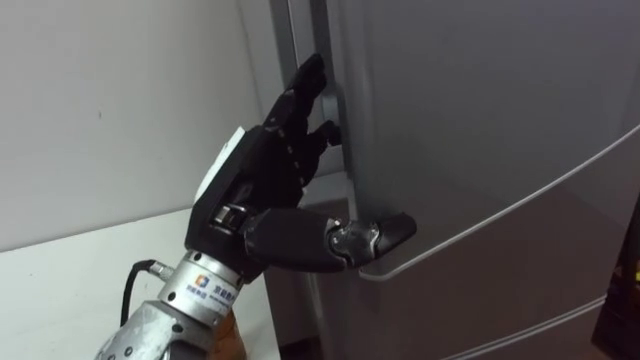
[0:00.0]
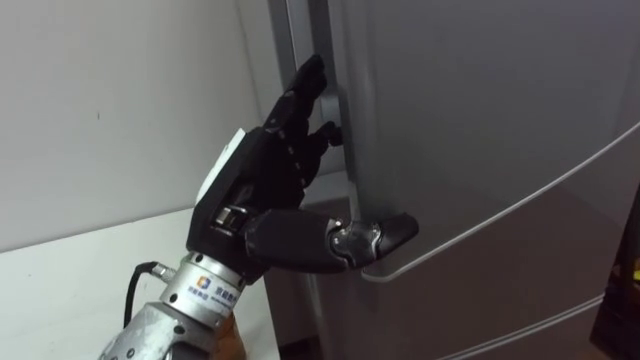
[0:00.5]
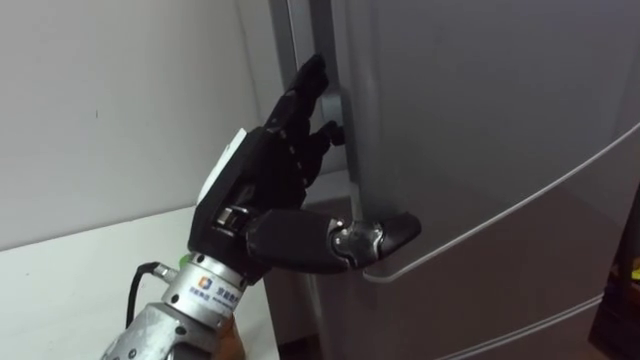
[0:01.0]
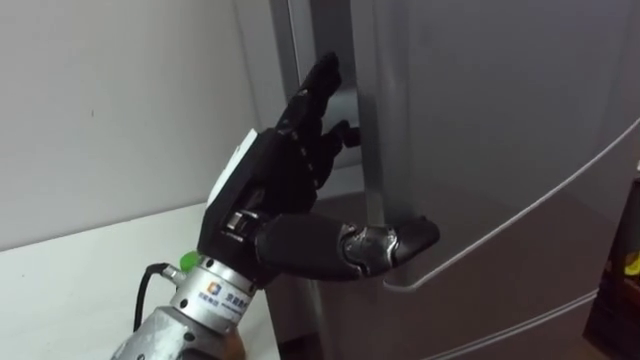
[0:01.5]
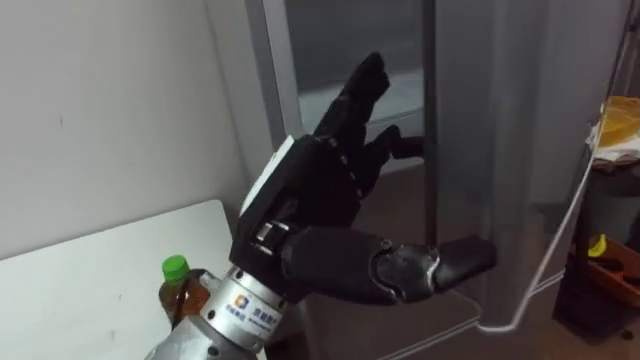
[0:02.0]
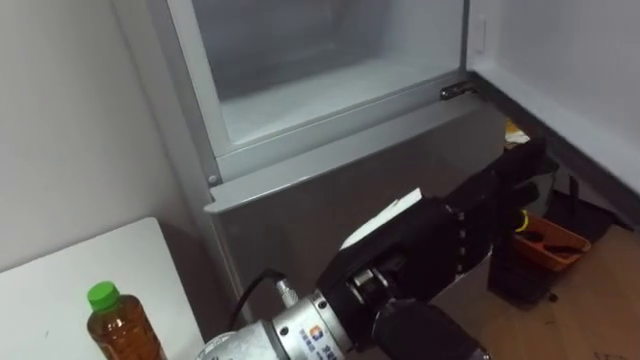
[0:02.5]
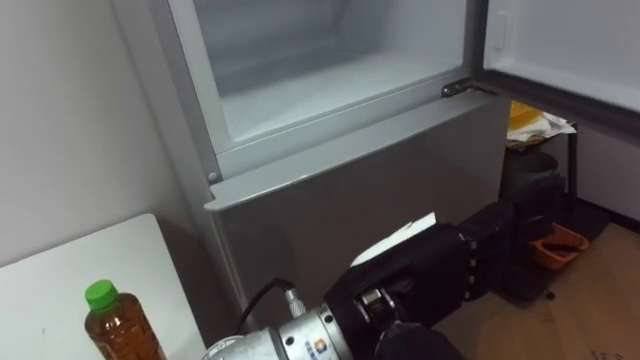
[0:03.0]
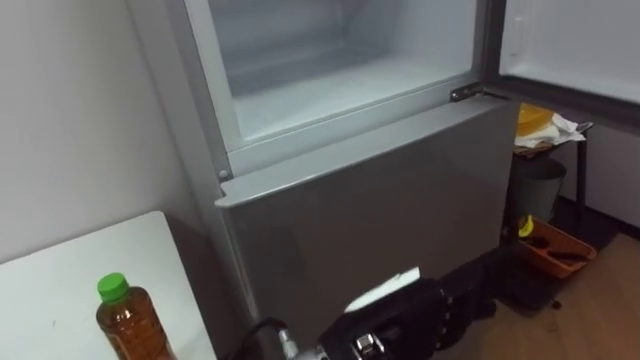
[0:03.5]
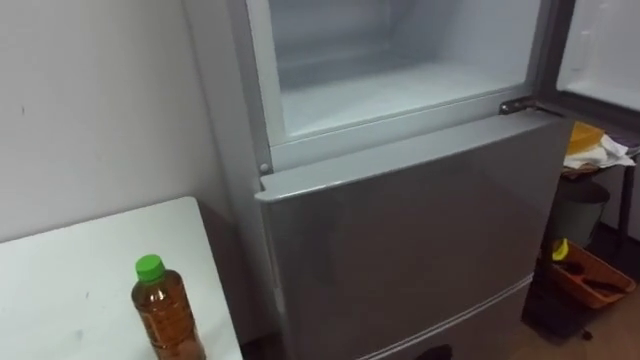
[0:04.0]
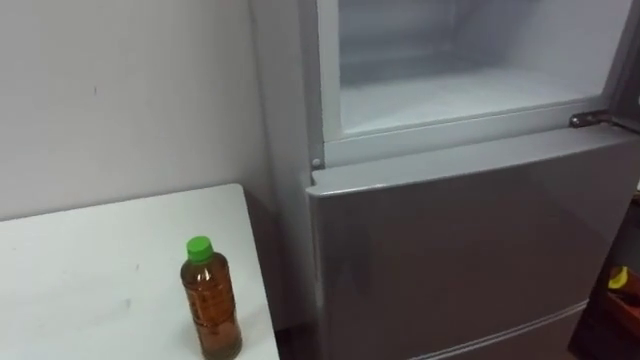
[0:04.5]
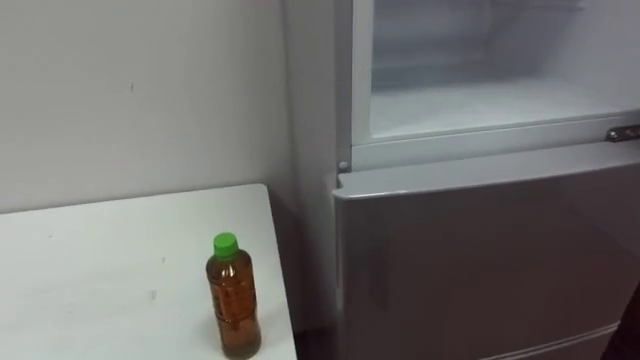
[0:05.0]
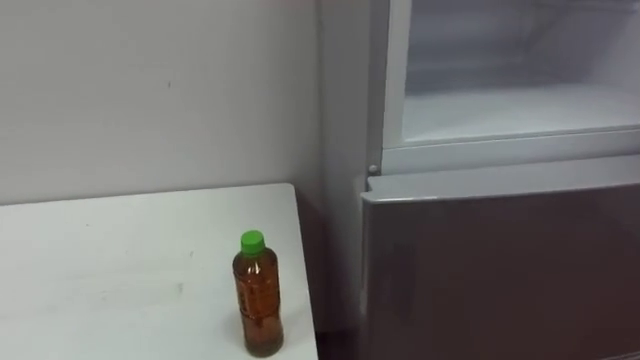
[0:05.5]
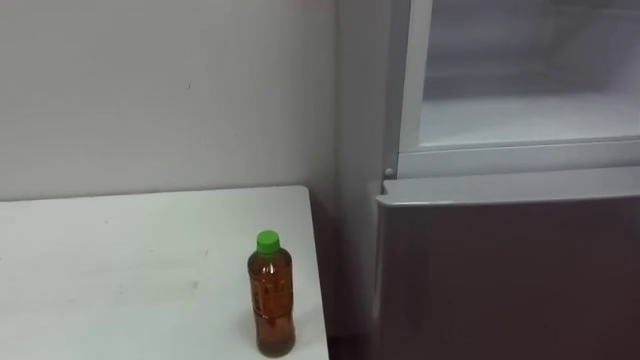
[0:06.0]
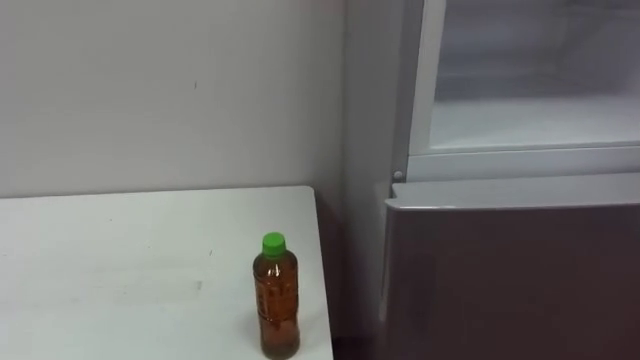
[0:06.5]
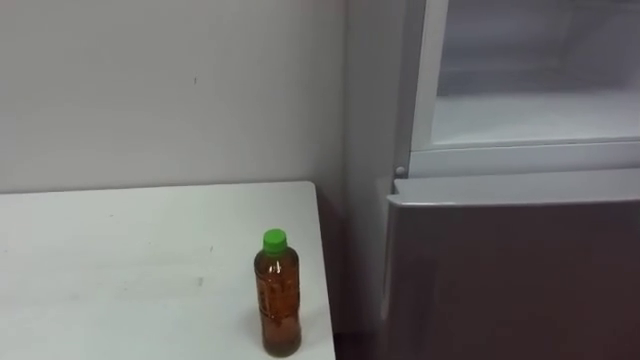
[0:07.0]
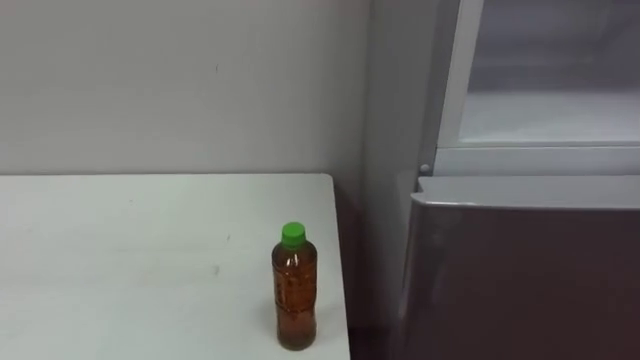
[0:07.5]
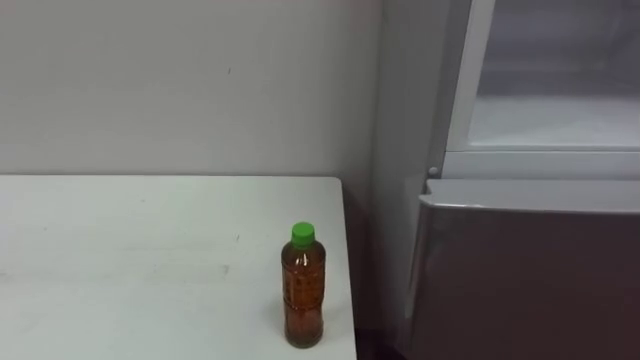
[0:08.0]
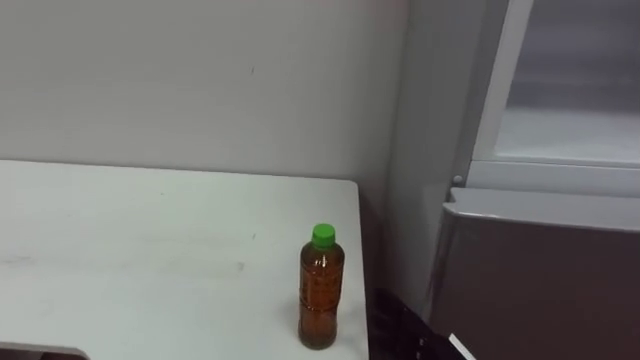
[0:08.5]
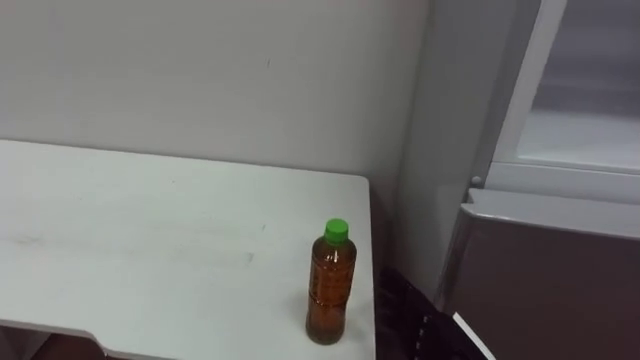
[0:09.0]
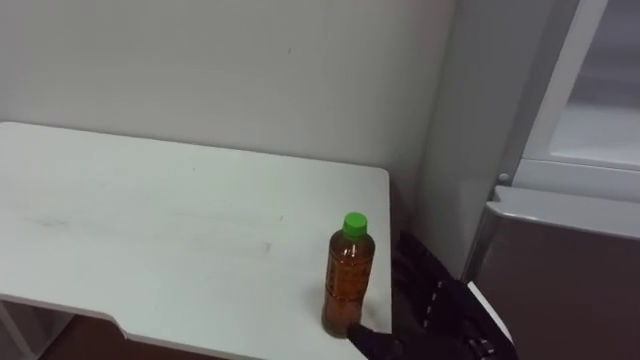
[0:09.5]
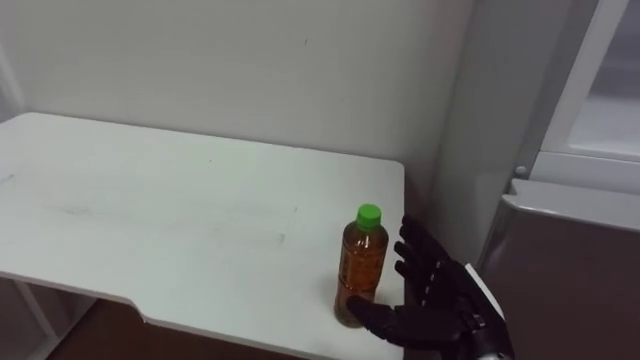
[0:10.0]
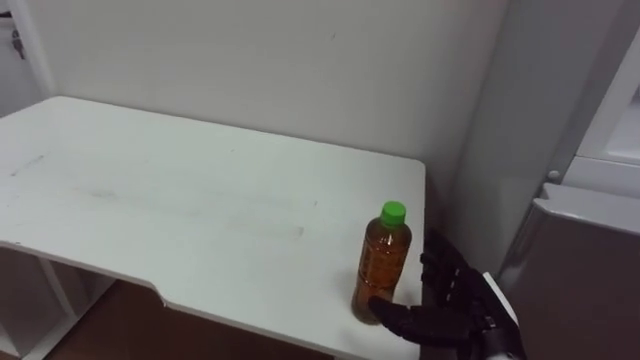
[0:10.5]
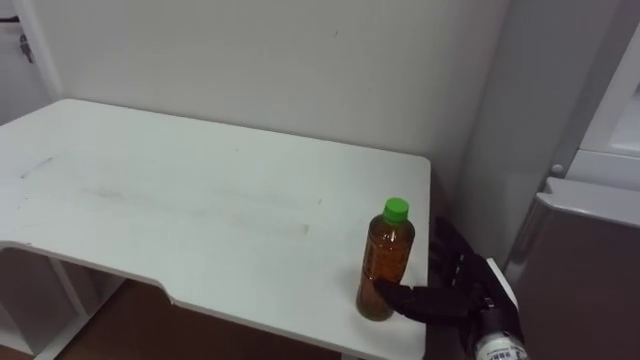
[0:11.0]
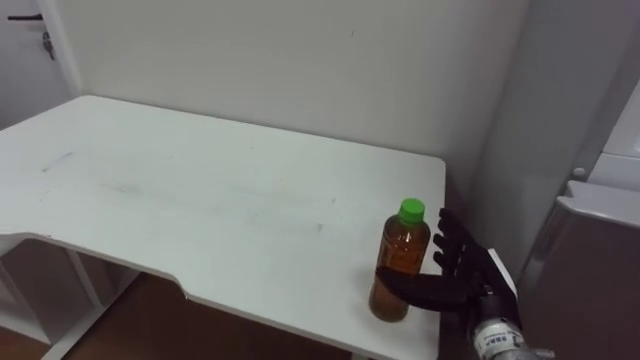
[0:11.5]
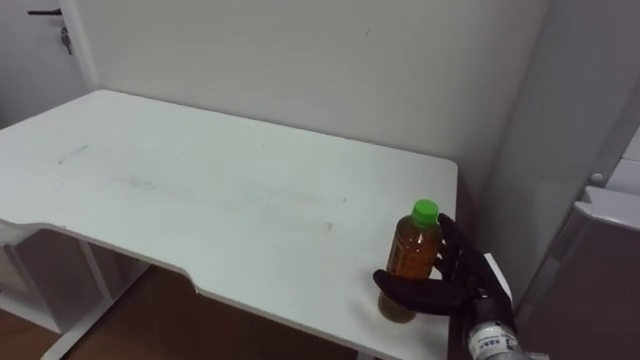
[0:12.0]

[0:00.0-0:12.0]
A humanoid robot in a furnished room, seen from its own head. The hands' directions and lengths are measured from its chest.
Task of the whole recording: Open the upper refrigerator door, put the drink from the table into the refrigerator, and then close the refrigerator door.
0:10.0 to 0:12.0: The right hand moves about 5 cm.

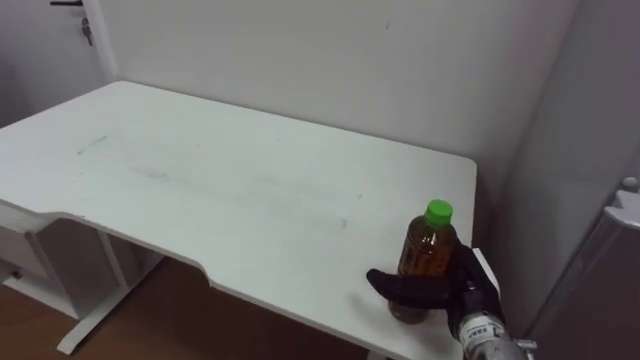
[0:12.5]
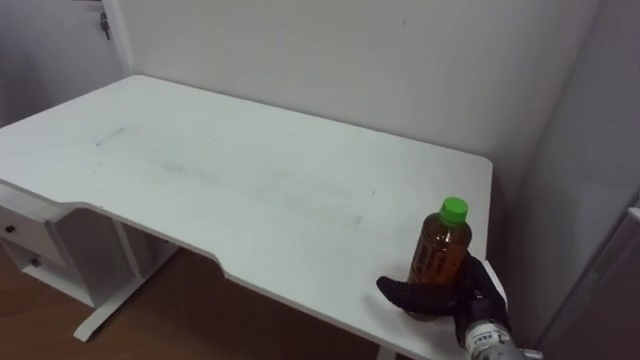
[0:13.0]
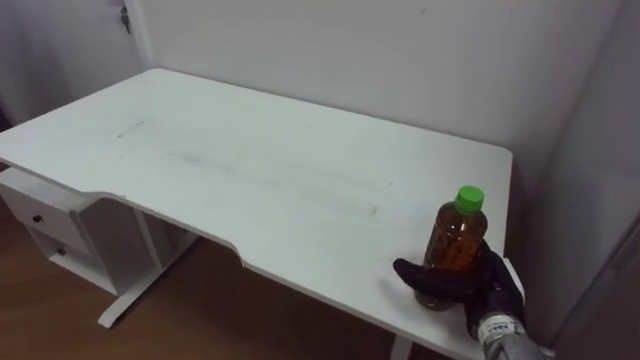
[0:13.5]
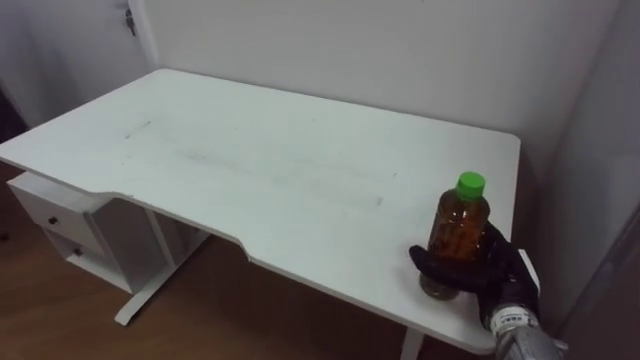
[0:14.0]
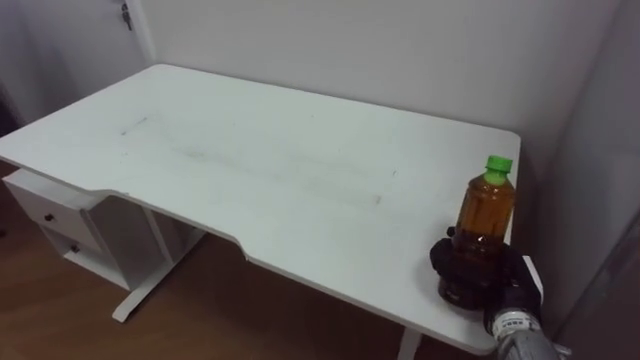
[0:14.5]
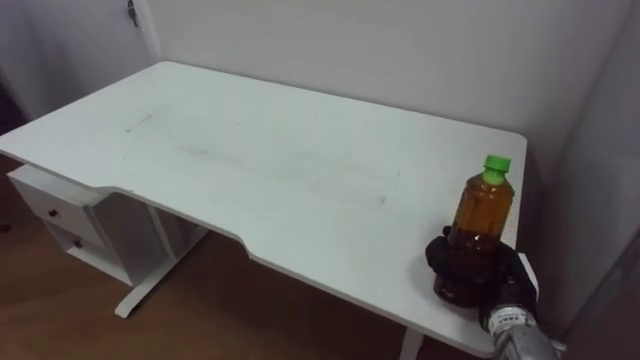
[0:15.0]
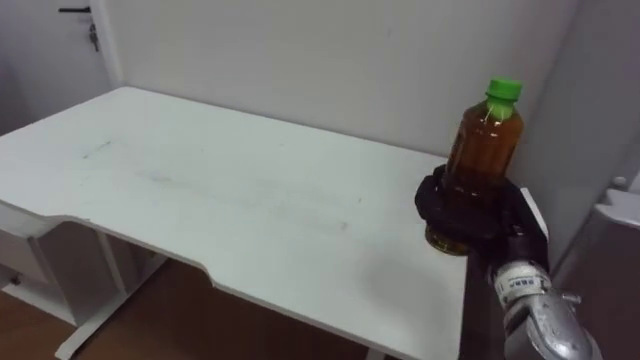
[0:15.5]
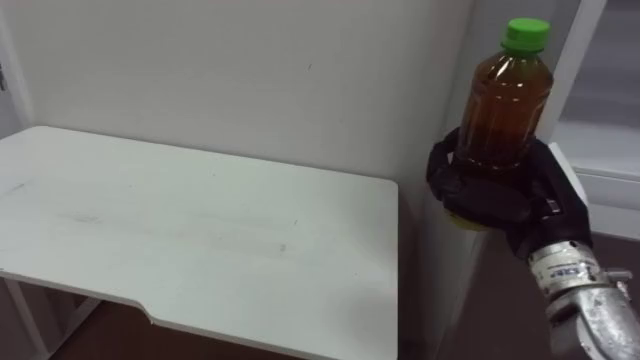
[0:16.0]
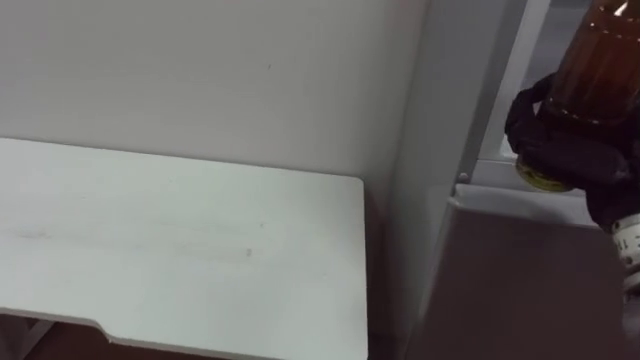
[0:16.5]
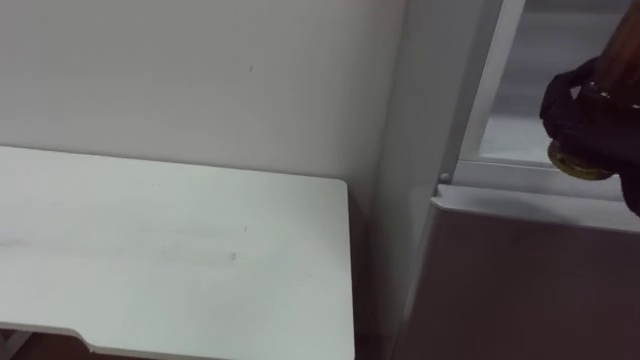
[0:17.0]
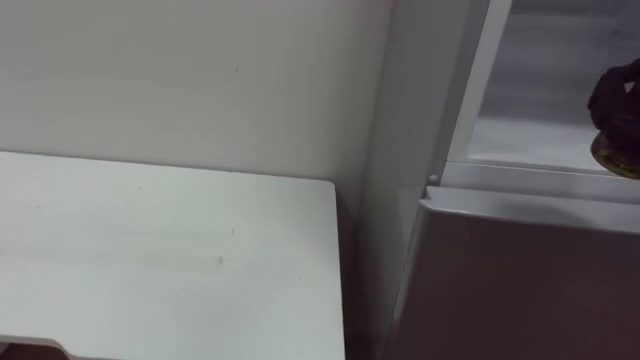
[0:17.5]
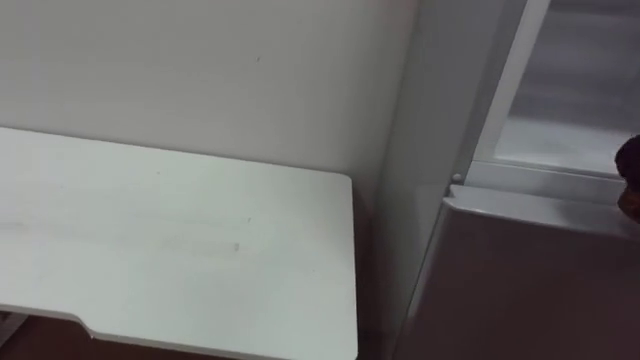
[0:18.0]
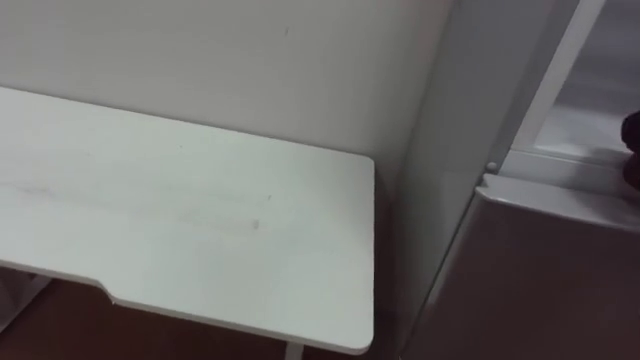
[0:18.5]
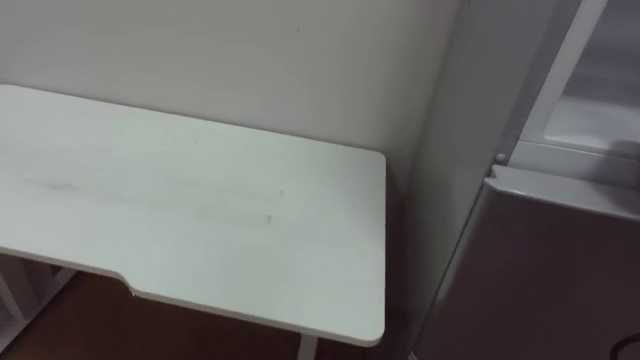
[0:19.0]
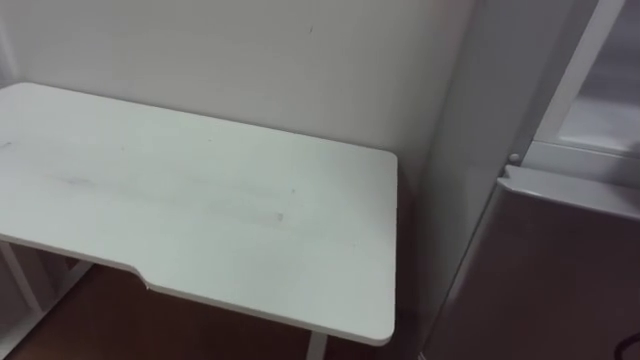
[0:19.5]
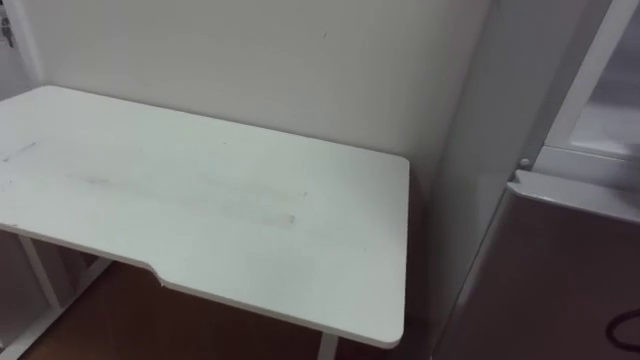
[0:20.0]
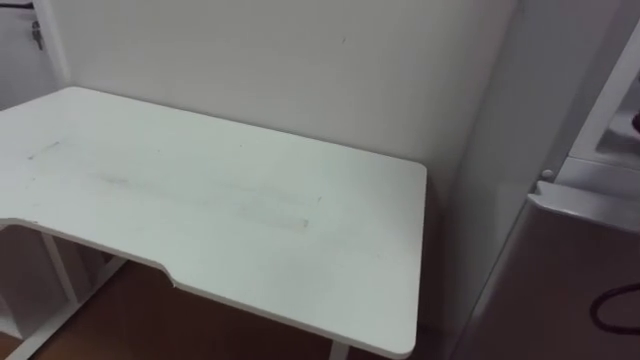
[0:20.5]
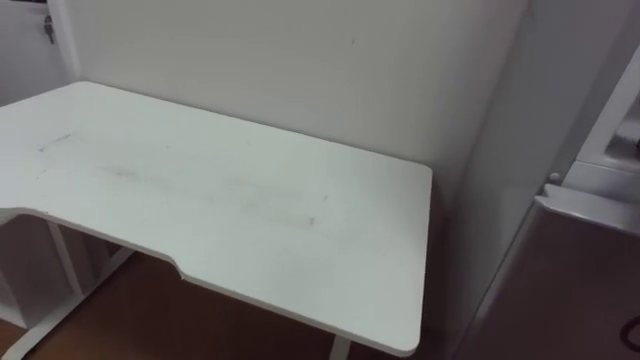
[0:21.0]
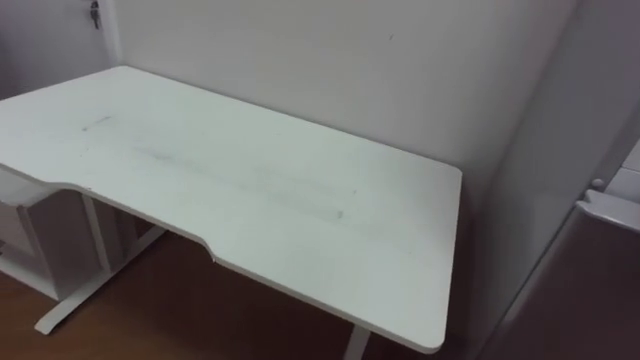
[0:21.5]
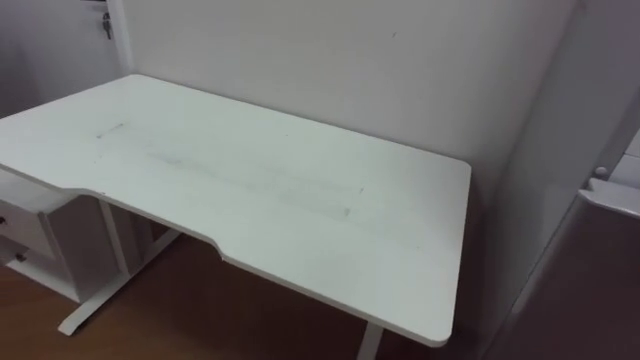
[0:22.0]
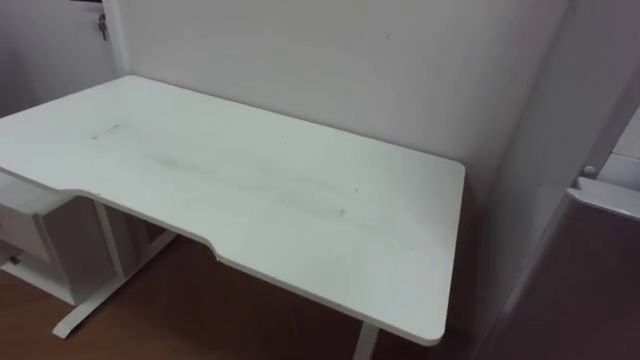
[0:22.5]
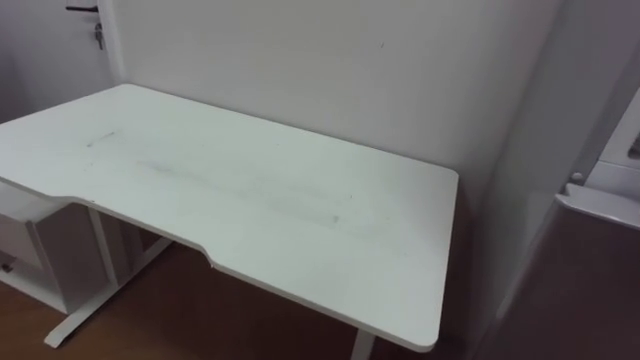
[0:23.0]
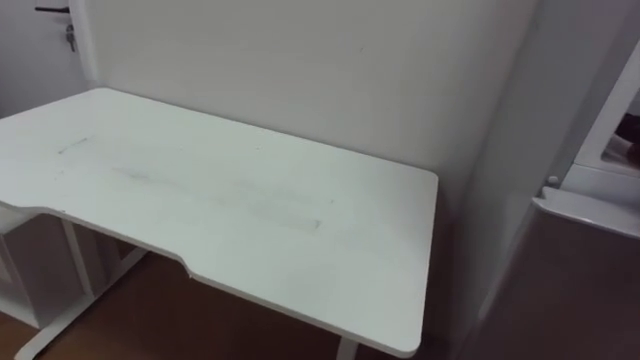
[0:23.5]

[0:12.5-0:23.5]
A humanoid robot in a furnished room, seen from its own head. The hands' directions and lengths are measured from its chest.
Task of the whole recording: Open the upper refrigerator door, put the drink from the table into the refrigerator, and then close the refrigerator door.
0:12.5 to 0:14.5: The right hand travels to the right by approximately 5 cm, and closes its fingers.
0:14.5 to 0:16.0: The right hand moves upward, approximately 15 cm.
